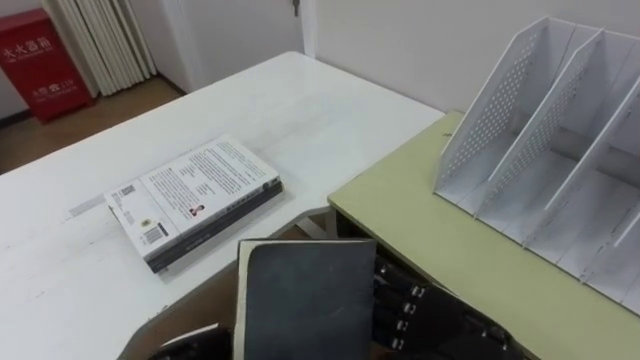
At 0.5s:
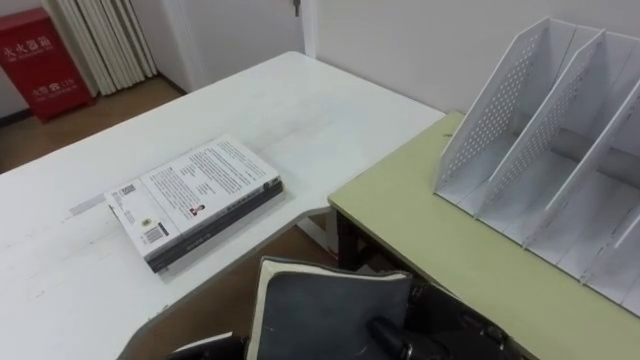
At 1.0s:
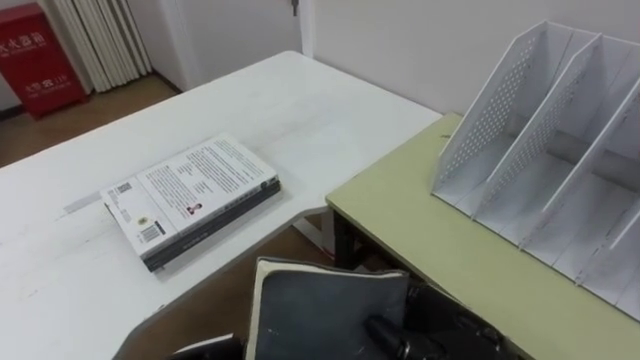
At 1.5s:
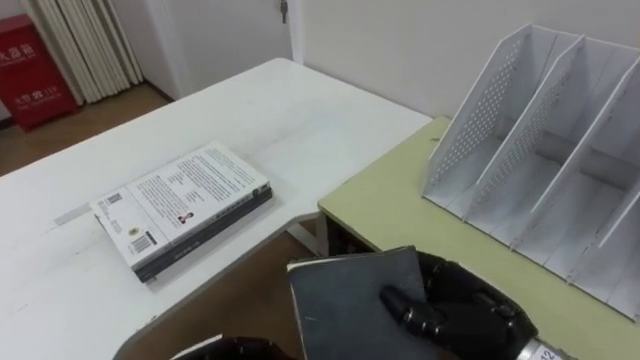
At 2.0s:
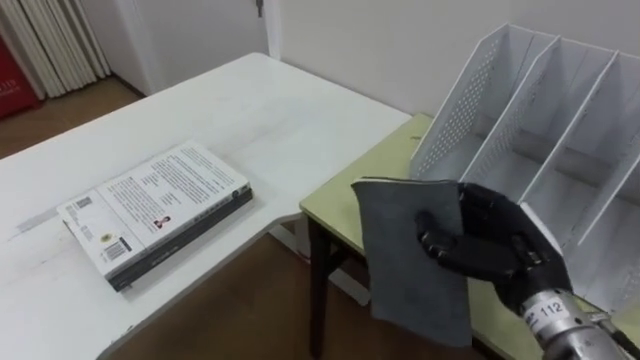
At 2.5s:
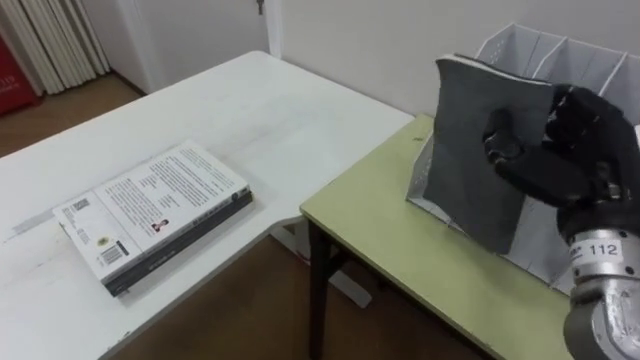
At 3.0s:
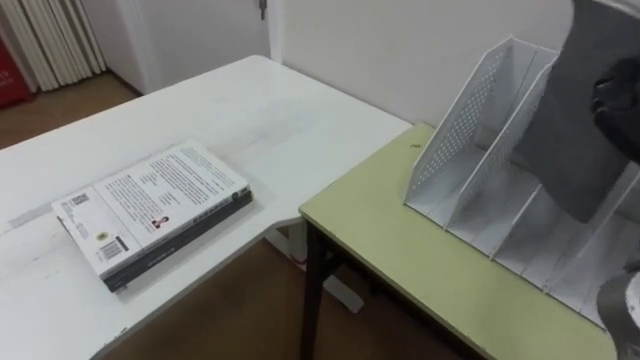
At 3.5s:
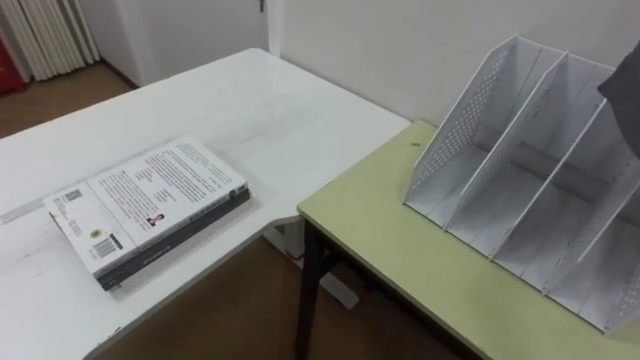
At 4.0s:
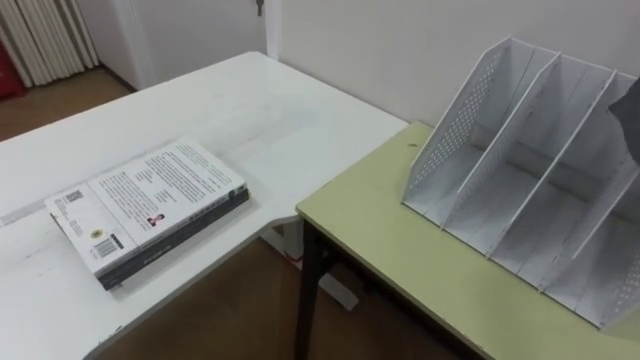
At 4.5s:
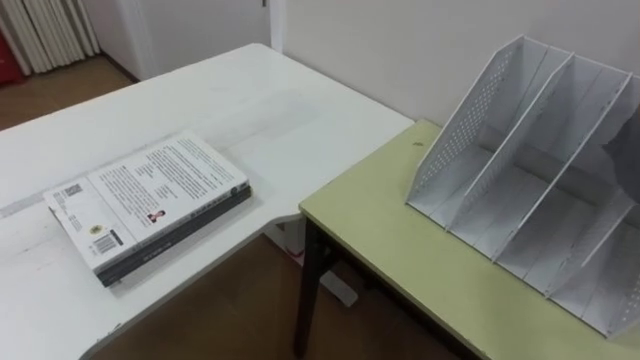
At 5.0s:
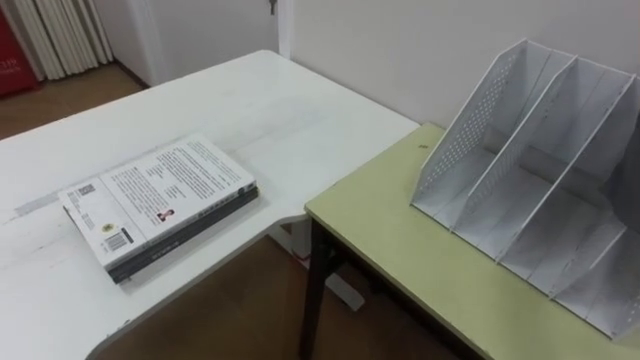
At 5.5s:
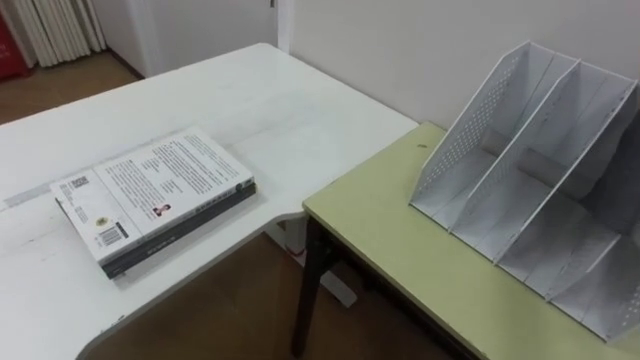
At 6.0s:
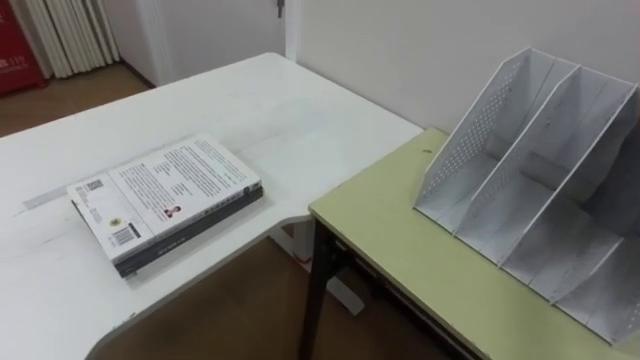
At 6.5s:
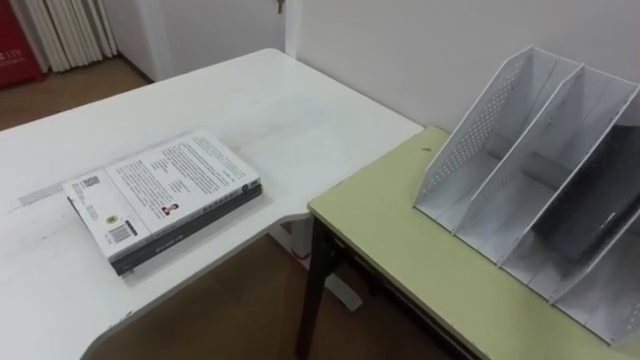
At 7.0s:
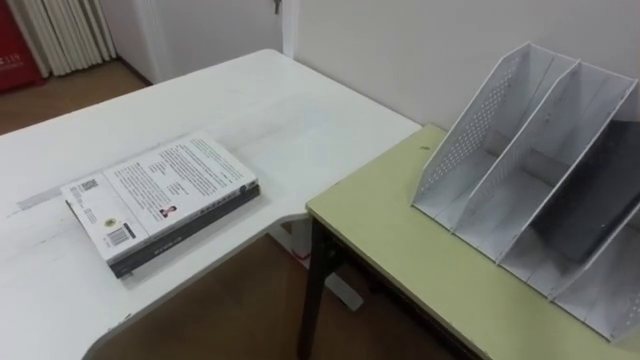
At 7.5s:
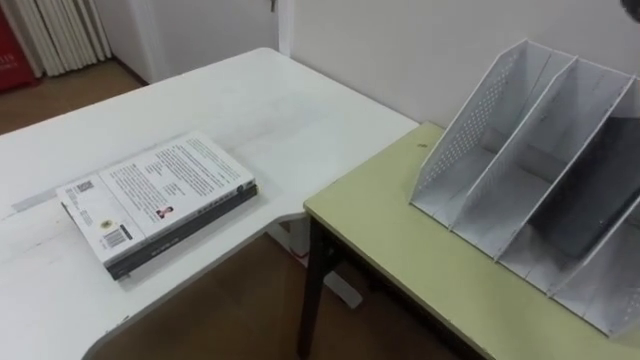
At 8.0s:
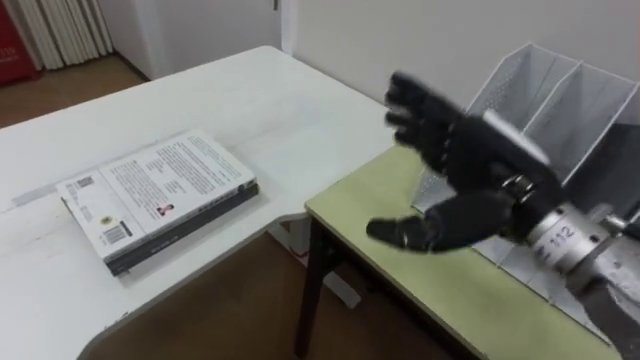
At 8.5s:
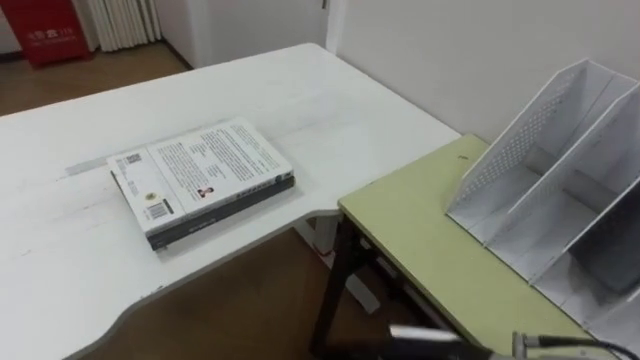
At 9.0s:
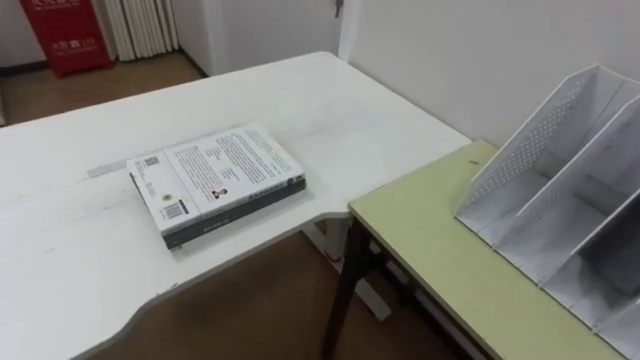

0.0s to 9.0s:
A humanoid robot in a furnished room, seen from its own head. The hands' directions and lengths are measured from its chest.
Task of the whole recording: Put the books on the table onto the bookshelf.
0.0s to 2.0s: The right hand goes some 10 cm forward and to the right, and closes up.

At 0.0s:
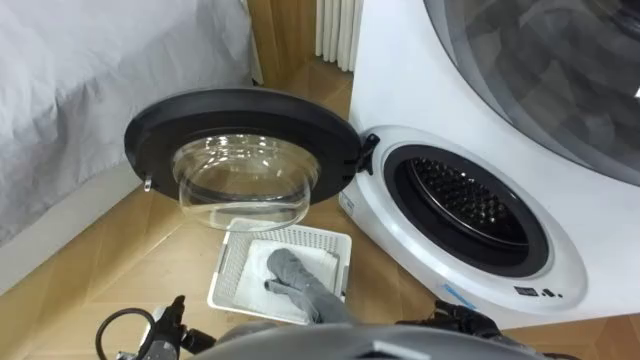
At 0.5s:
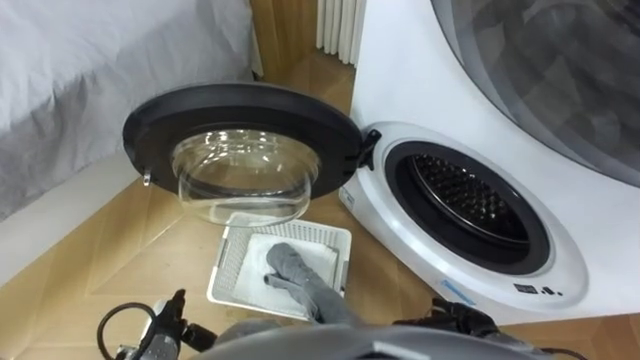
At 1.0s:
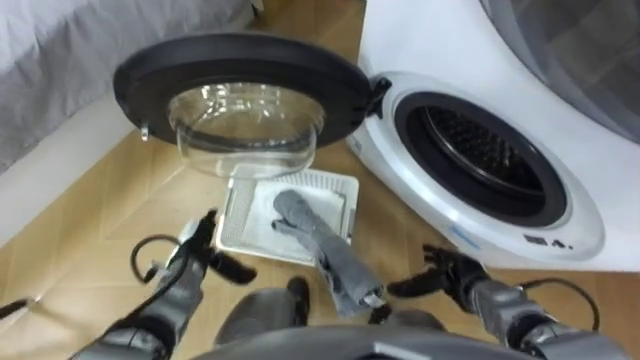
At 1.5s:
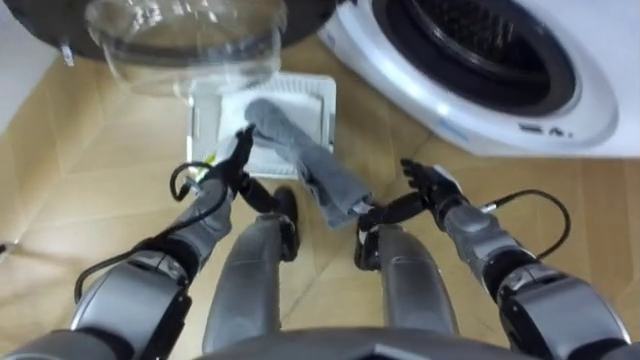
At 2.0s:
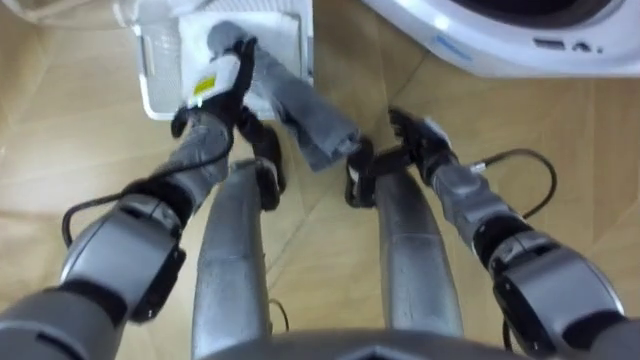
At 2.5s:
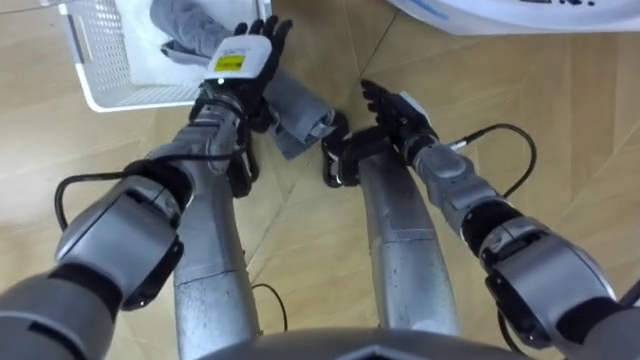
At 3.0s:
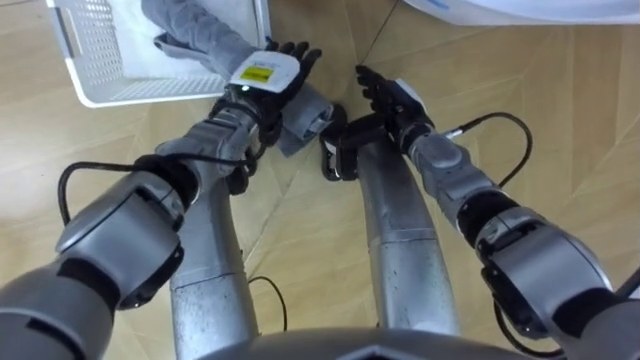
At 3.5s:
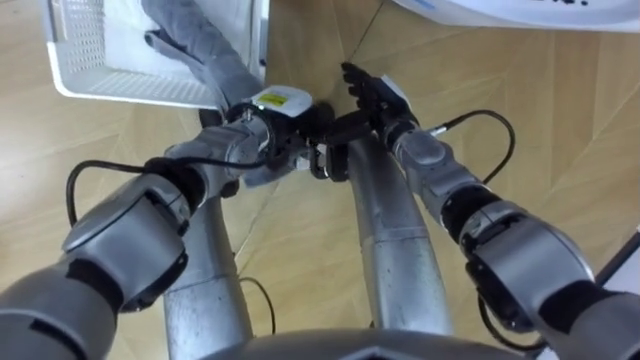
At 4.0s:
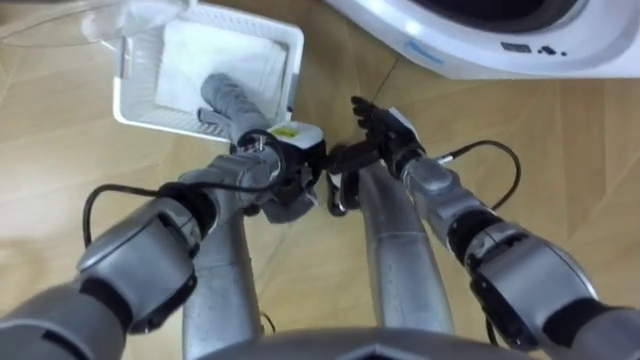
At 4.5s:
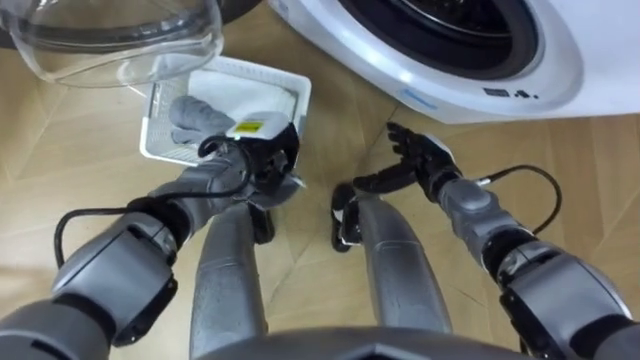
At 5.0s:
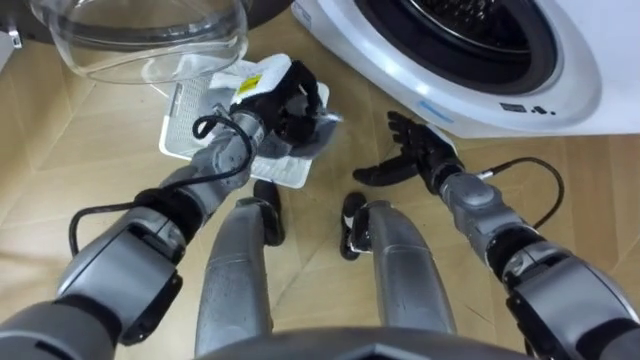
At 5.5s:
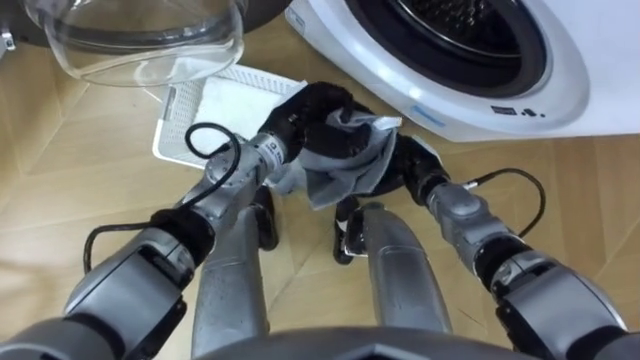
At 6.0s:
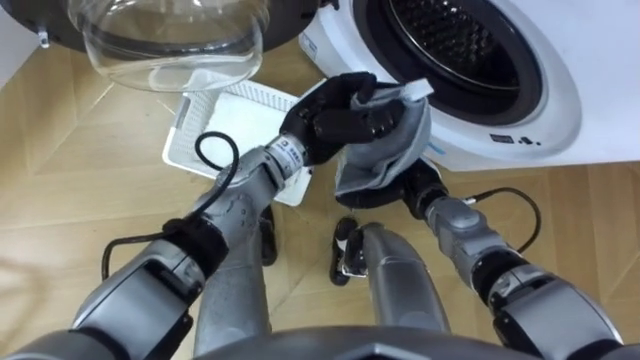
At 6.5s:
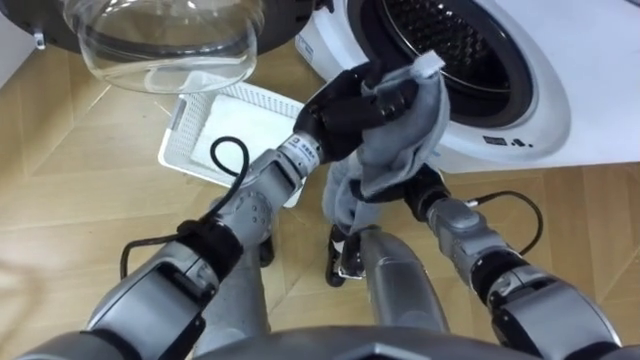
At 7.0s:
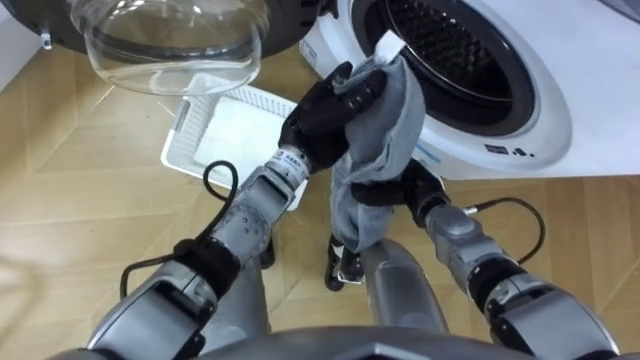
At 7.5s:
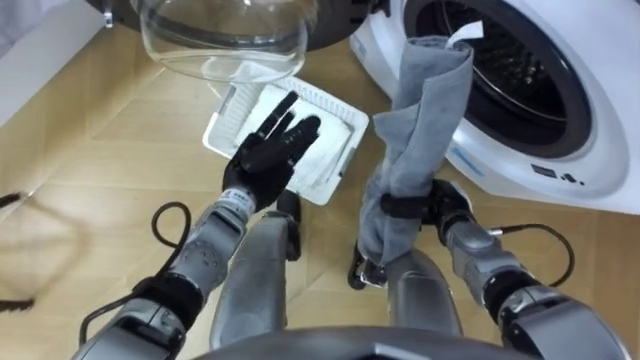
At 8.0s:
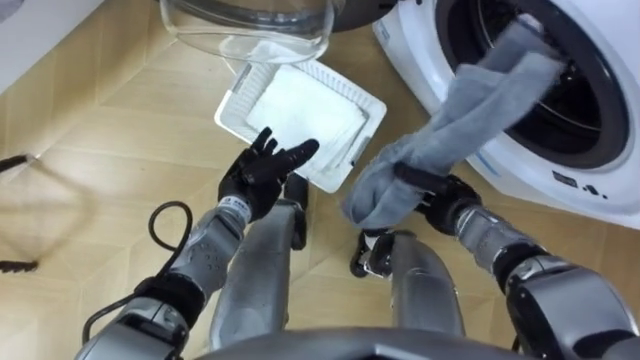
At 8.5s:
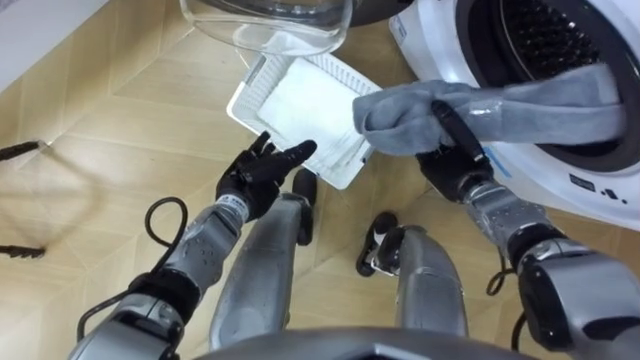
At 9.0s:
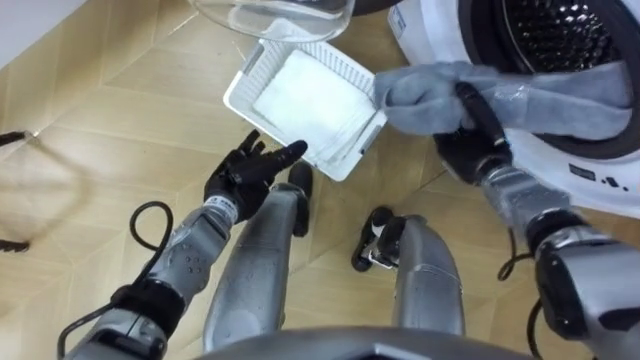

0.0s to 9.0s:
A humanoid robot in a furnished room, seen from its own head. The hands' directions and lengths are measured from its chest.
Task of the whole recording: Take the towel from the basket and put it into the washing machine.
2.0s to 4.5s: The right hand travels to the left and back again, roughly 5 cm each way. Meanwhile the left hand closes its fingers.
4.5s to 7.0s: The right hand closes its fingers. Meanwhile the left hand shifts approximately 10 cm to the right and upward.
7.0s to 9.0s: The left hand heads to the left and downward, covering about 15 cm, and opens its fingers. Meanwhile the right hand goes approximately 10 cm to the right and forward.

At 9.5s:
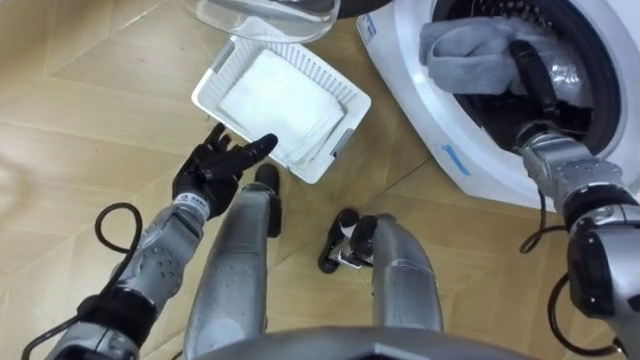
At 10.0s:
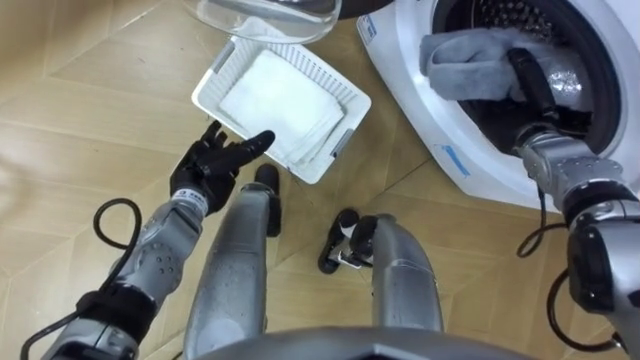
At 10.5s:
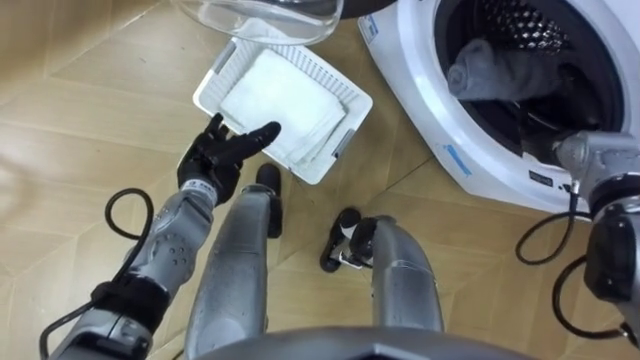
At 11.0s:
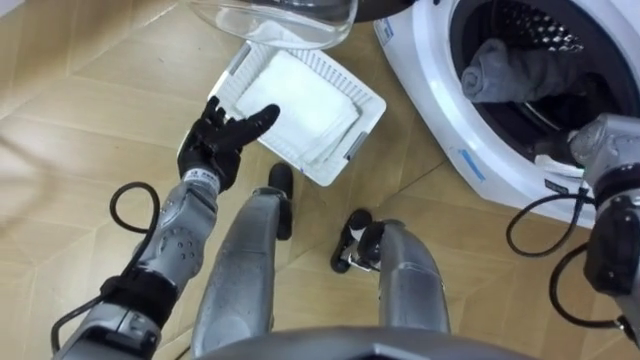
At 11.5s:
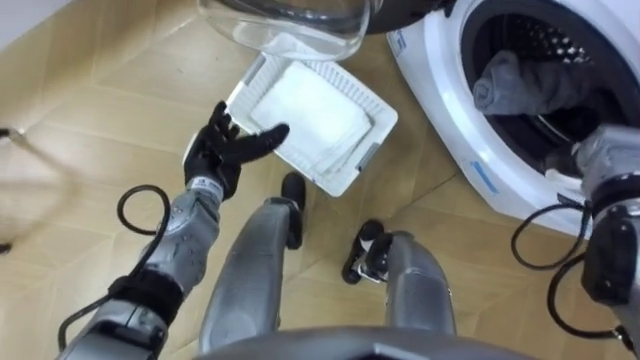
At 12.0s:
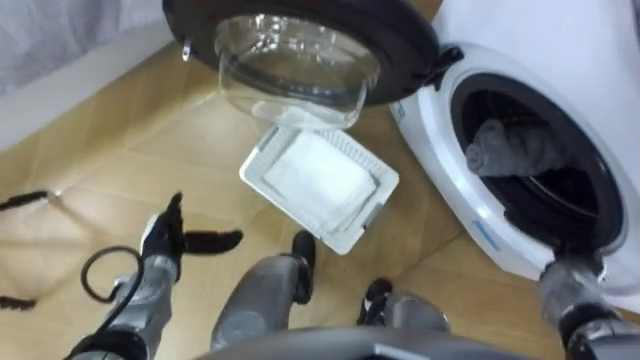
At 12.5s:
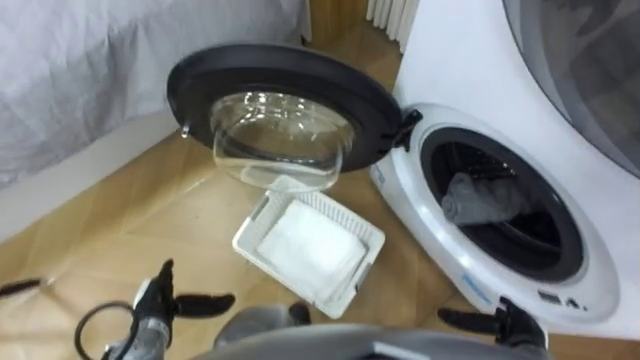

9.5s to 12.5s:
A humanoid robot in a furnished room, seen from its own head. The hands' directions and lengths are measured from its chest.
Task of the whole recording: Take the towel from the basket and put it into the washing machine.
9.5s to 11.0s: The right hand travels to the right by some 10 cm, and opens.
11.0s to 12.5s: The right hand is displaced backward and downward by some 30 cm. The left hand travels backward, downward and to the left by approximately 25 cm.
